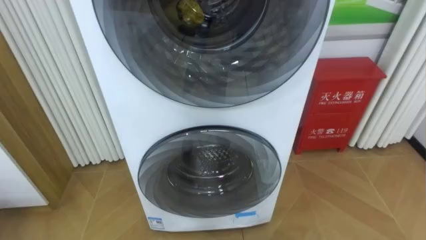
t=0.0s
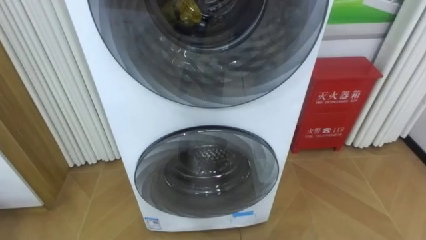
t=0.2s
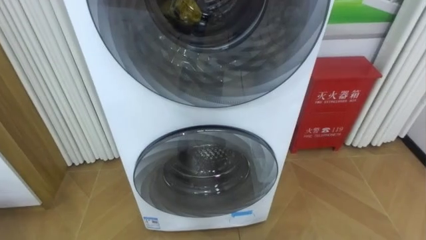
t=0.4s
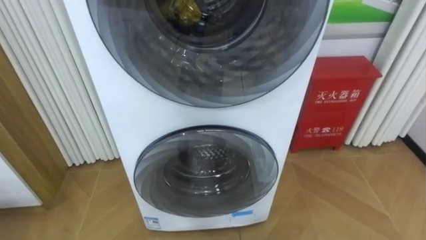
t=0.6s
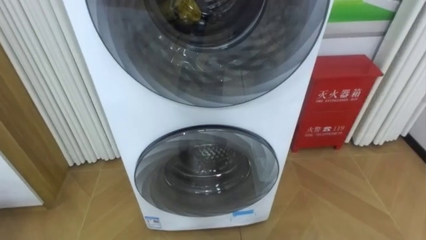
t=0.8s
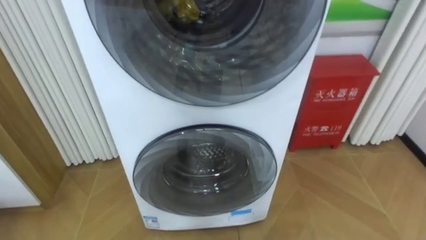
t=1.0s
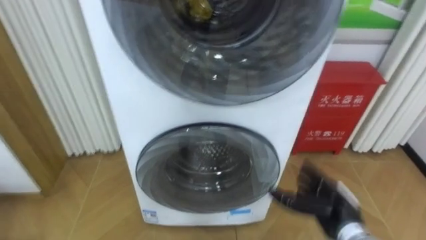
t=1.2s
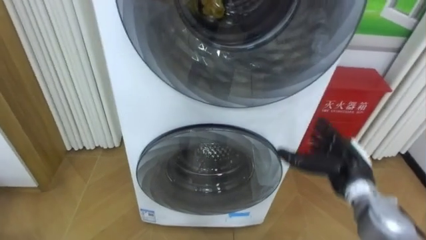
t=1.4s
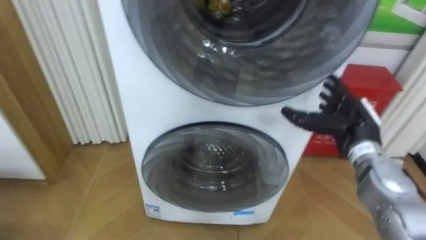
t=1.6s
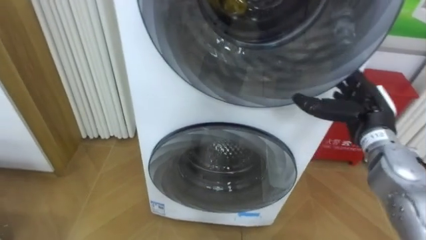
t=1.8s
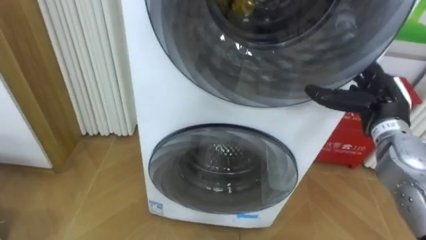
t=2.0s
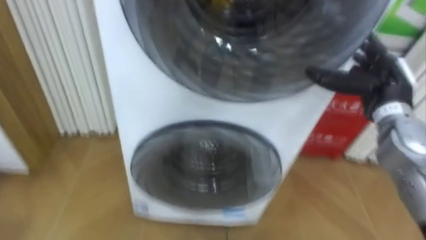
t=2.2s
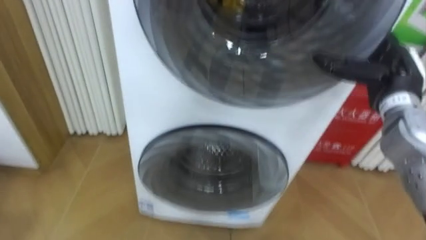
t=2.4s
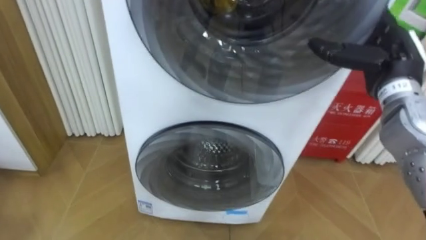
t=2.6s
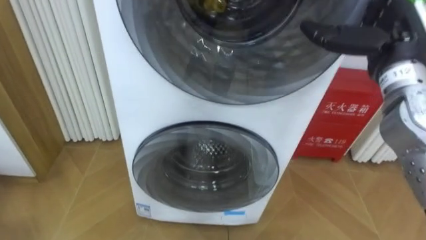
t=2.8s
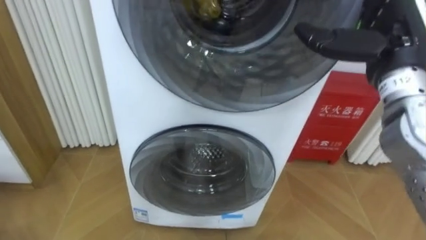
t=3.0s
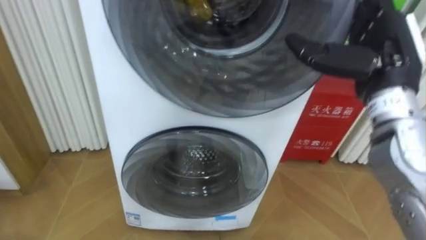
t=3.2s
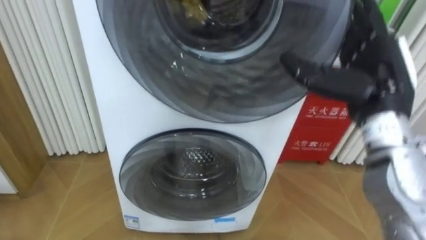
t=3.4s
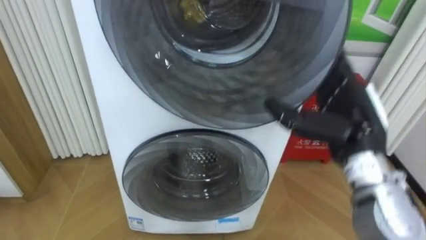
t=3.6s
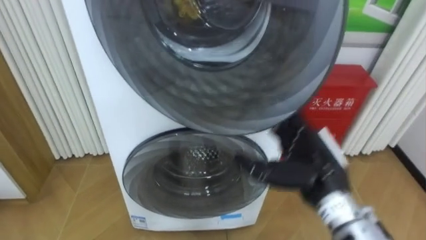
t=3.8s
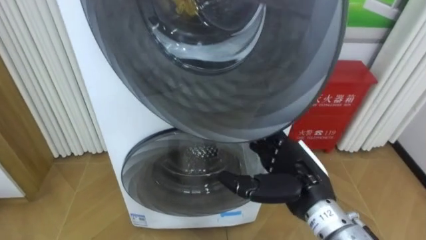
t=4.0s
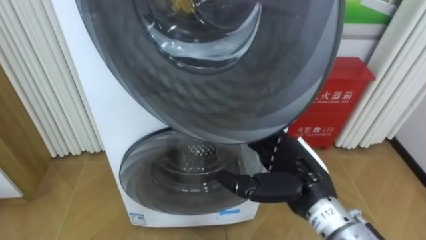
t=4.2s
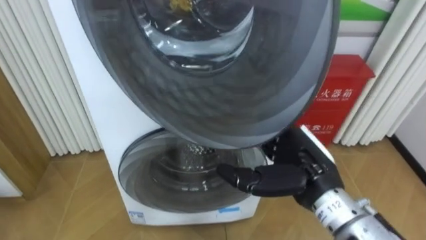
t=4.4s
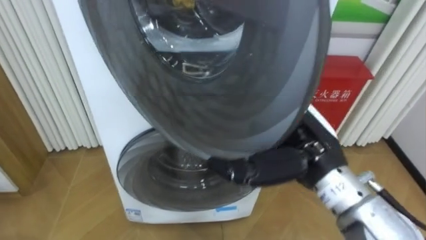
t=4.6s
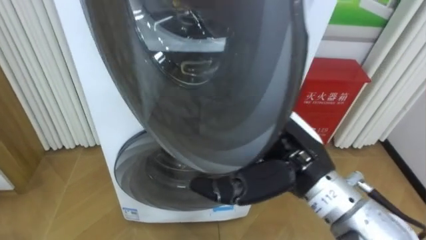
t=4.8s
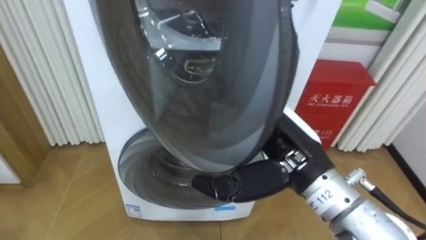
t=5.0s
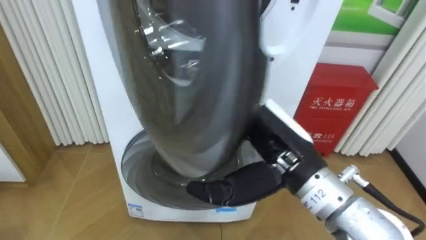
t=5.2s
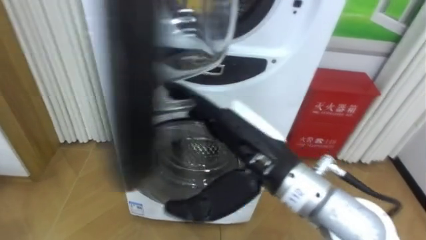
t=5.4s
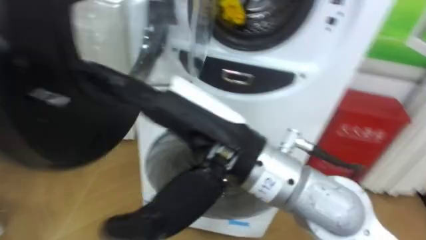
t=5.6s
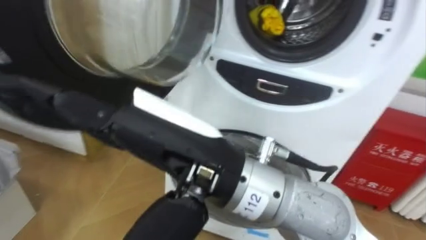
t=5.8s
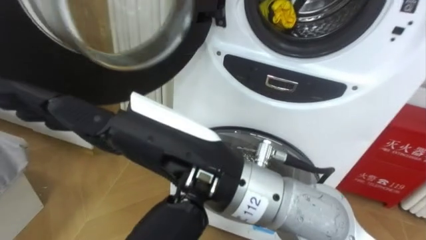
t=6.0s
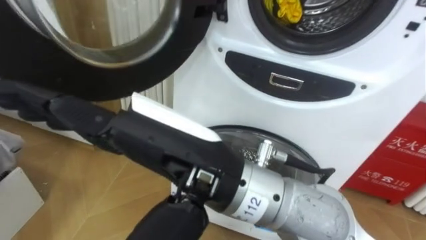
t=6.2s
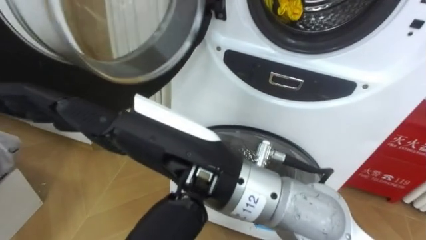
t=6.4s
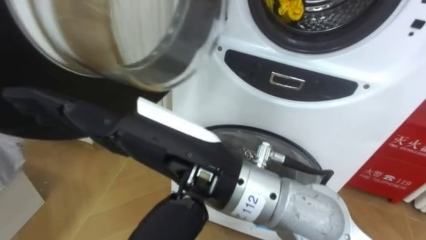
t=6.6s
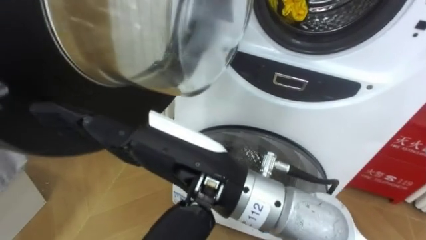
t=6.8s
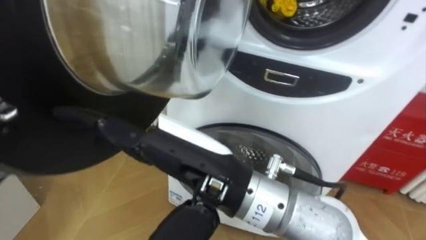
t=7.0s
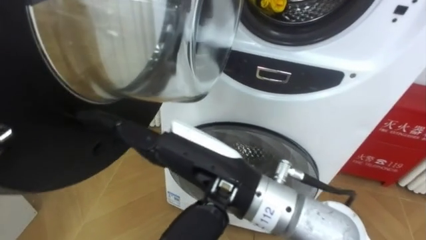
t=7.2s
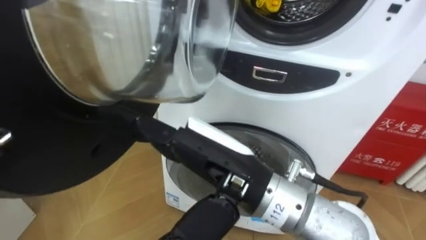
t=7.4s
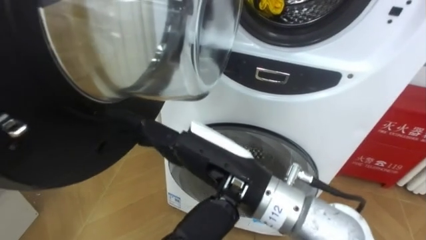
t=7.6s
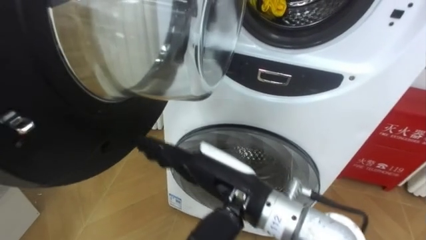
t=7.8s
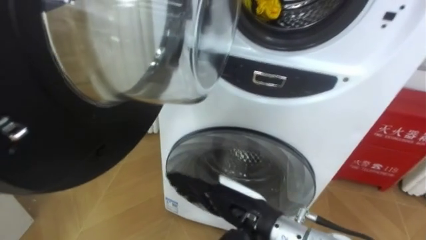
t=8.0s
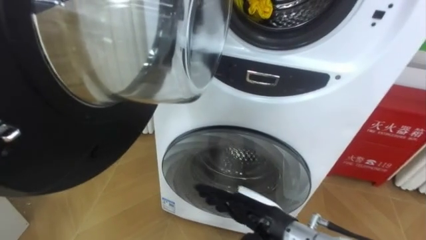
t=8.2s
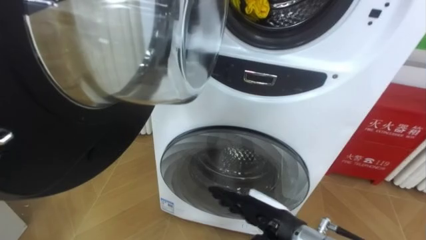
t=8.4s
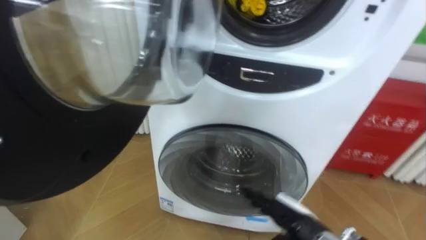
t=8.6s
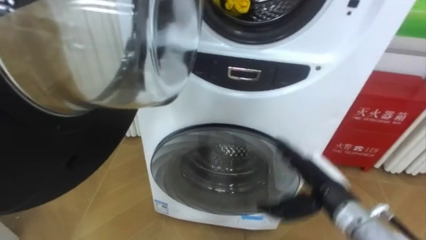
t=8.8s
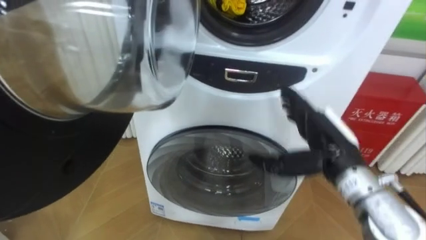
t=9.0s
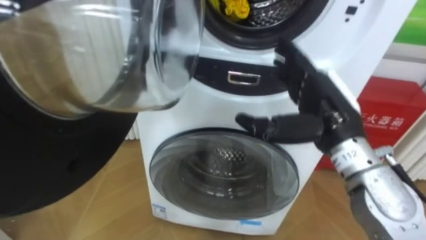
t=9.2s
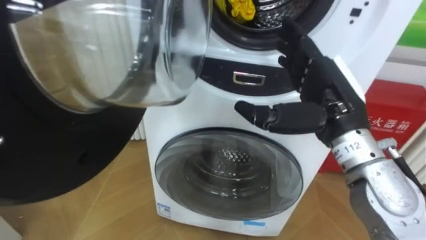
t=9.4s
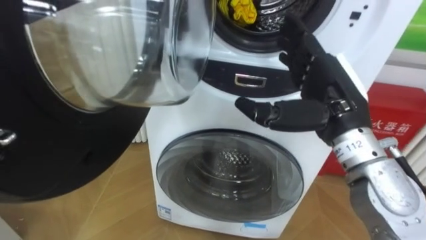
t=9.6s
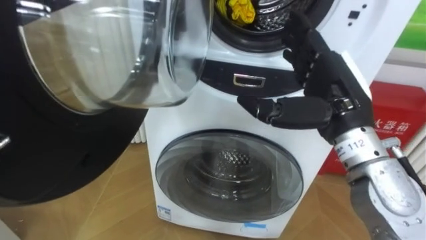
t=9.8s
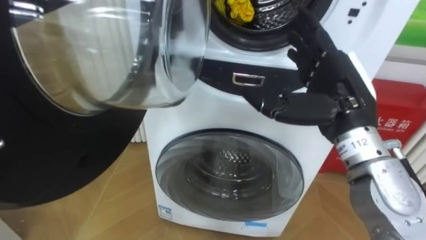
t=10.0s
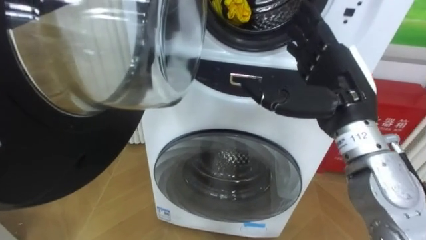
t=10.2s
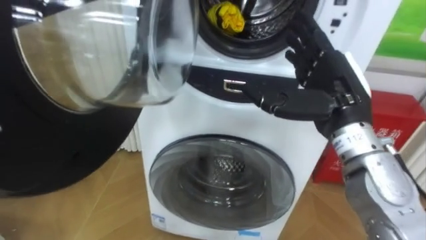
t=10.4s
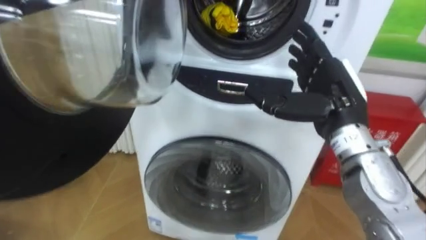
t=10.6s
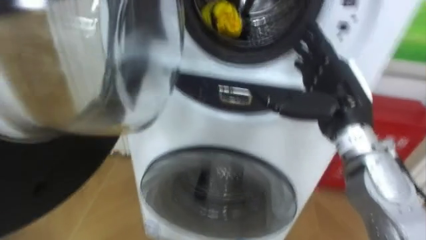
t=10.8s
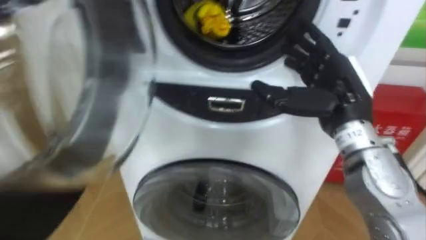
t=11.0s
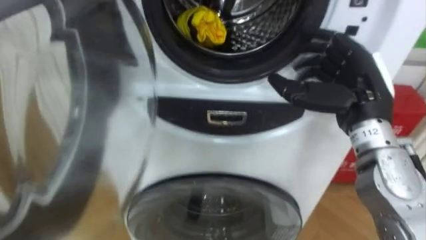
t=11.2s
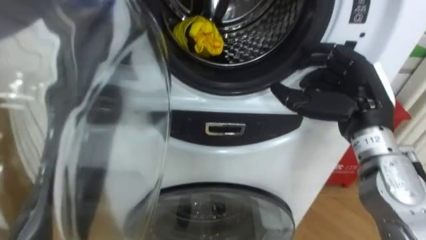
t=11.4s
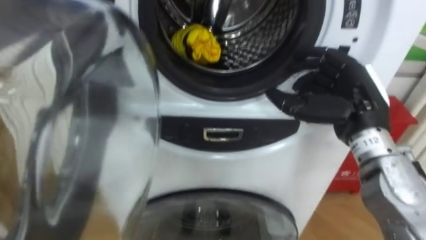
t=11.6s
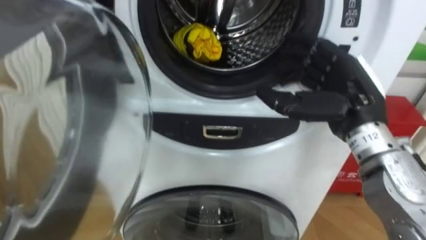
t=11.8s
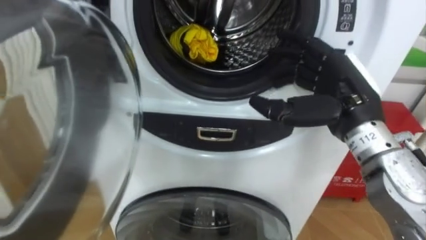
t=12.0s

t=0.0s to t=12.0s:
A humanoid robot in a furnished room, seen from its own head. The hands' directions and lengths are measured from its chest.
Task of the whole recording: Open the washing machine door, take out the yellow clothes, place them in the box on the right, and close the washing machine door.
t=1.6s to t=3.0s: The right hand shifts some 15 cm upward.
t=3.0s to t=4.4s: The right hand is displaced downward, to the left and backward by approximately 20 cm.
t=4.4s to t=6.0s: The right hand travels to the left, upward and backward by some 25 cm.
t=6.0s to t=7.6s: The right hand shifts about 5 cm downward.
t=7.6s to t=9.0s: The right hand is displaced to the right, forward and downward by about 20 cm.
t=9.0s to t=10.4s: The right hand moves upward, about 10 cm.

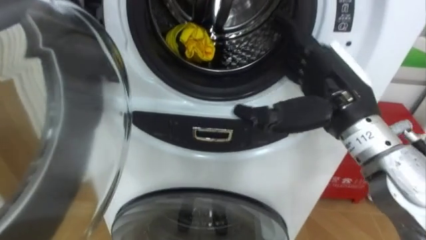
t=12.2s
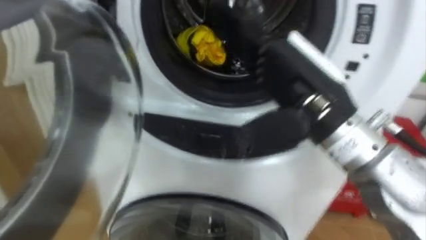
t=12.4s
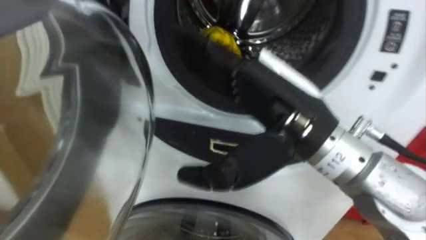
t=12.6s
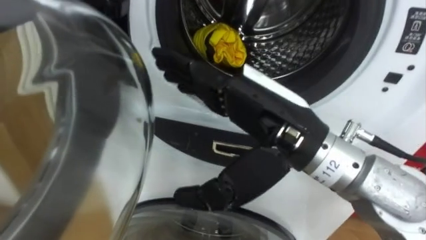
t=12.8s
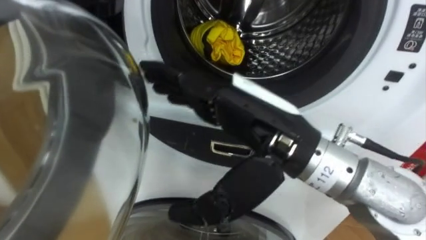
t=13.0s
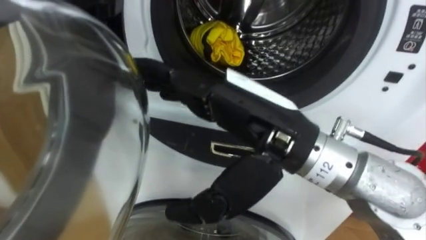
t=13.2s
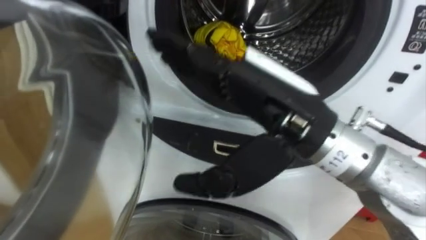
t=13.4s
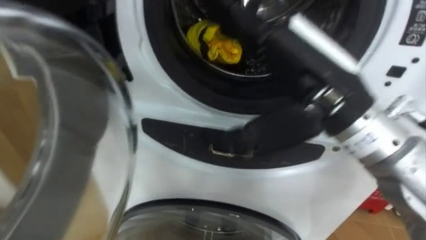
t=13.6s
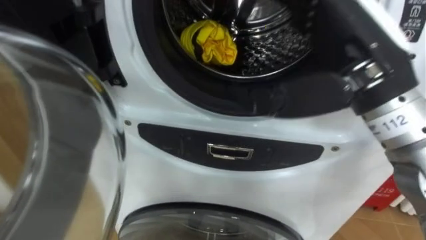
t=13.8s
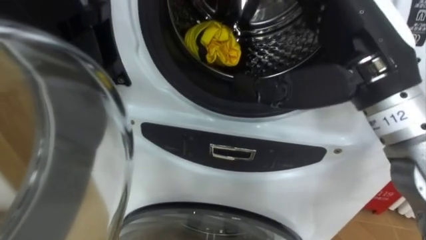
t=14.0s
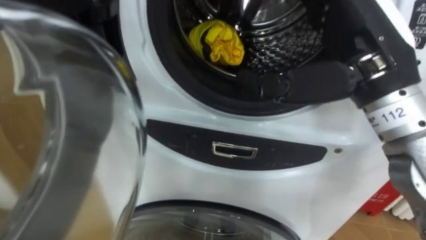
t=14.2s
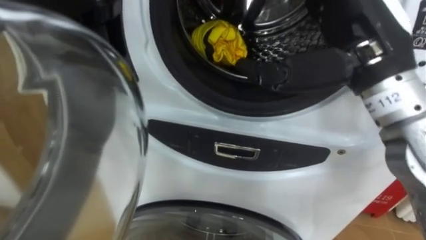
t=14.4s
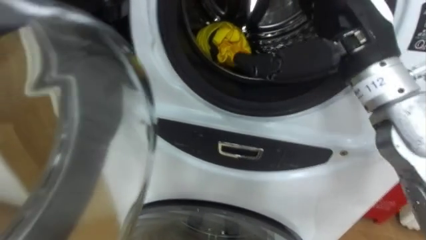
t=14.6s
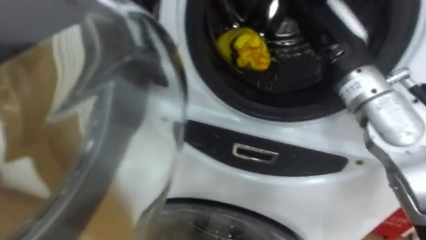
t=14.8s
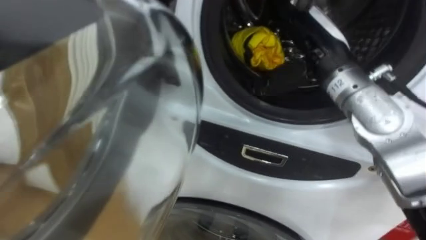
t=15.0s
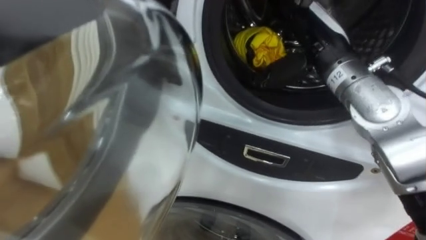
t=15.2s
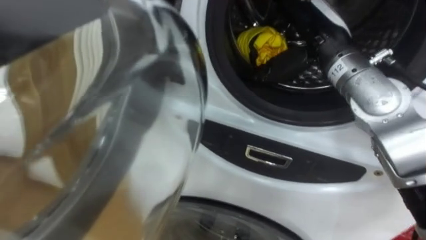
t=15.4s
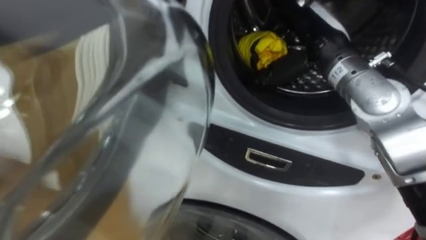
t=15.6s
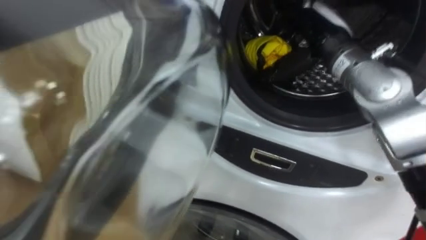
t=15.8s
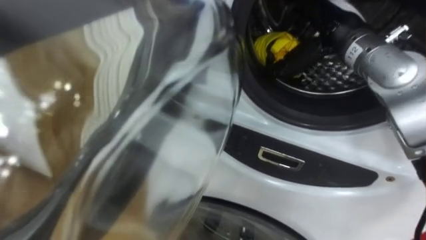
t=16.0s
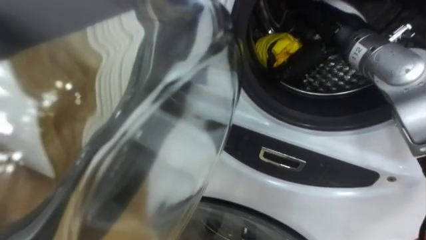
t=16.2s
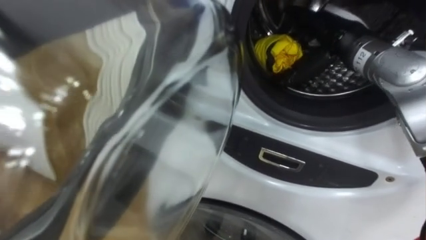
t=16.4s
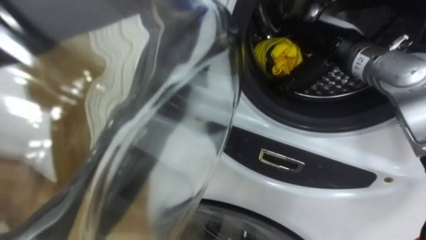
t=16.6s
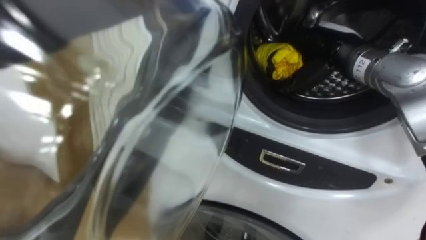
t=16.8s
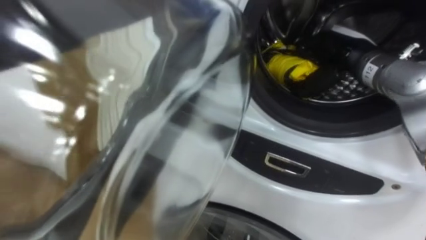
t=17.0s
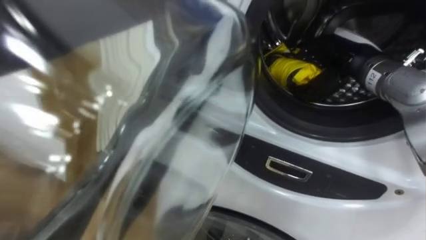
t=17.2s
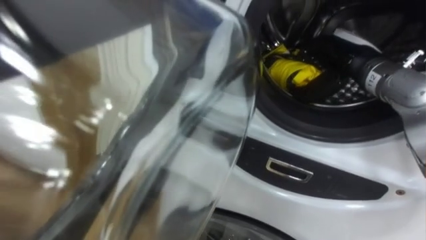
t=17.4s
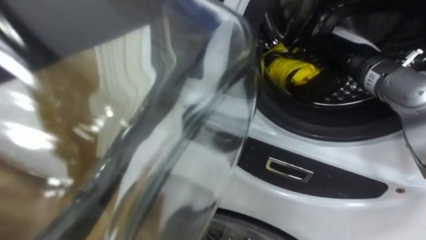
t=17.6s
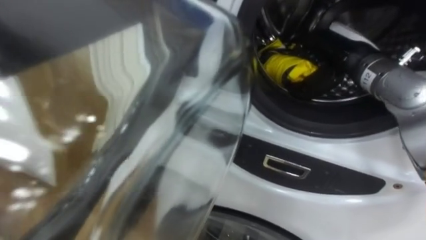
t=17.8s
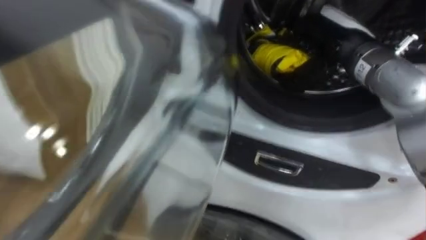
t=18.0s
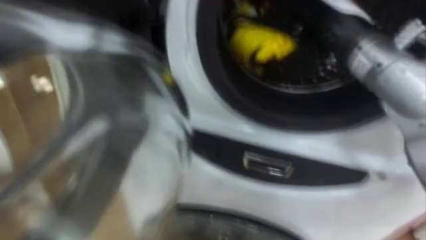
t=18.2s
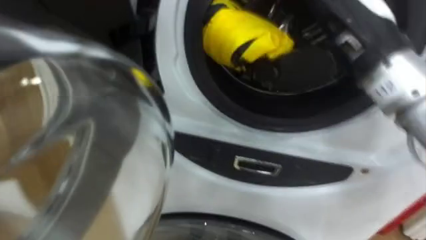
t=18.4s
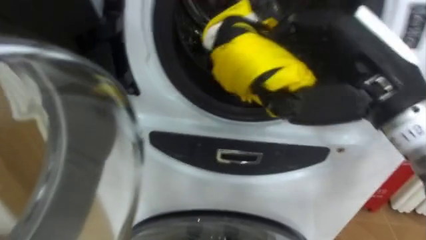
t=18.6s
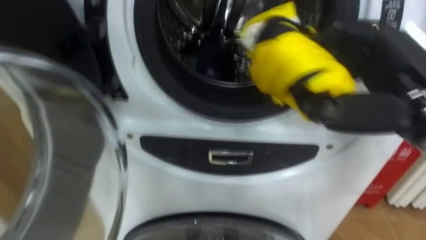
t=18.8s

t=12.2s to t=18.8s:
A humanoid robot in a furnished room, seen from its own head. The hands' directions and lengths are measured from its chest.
Task of the whole recording: Open the washing machine door, take out the yellow clothes, place them in the box on the right, and close the washing machine door.
t=12.2s to t=13.8s: The right hand goes roughly 5 cm upward, and goes to the left and returns, approximately 10 cm each way.
t=13.8s to t=15.4s: The right hand shifts roughly 15 cm forward.
t=15.4s to t=17.2s: The right hand goes some 10 cm to the right and downward, and closes.
t=17.2s to t=18.8s: The right hand heads backward, covering approximately 15 cm.
